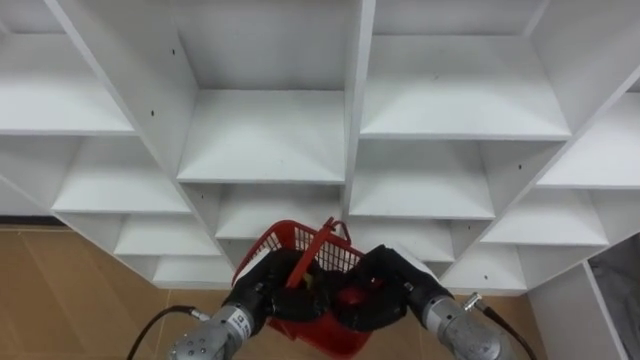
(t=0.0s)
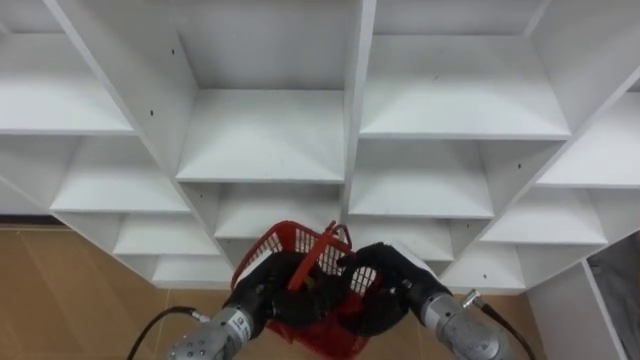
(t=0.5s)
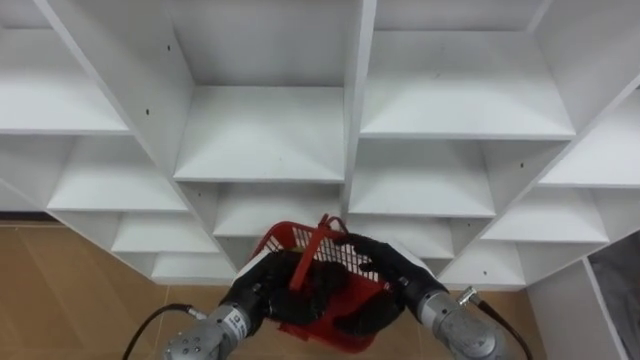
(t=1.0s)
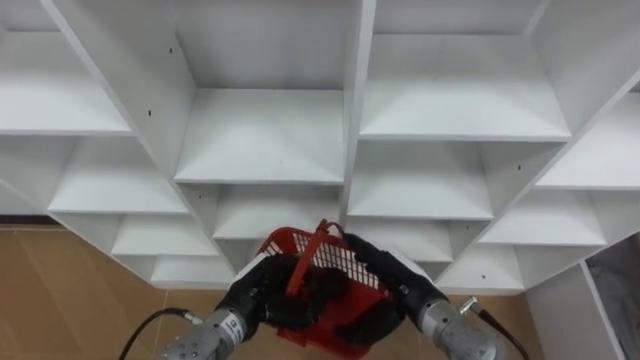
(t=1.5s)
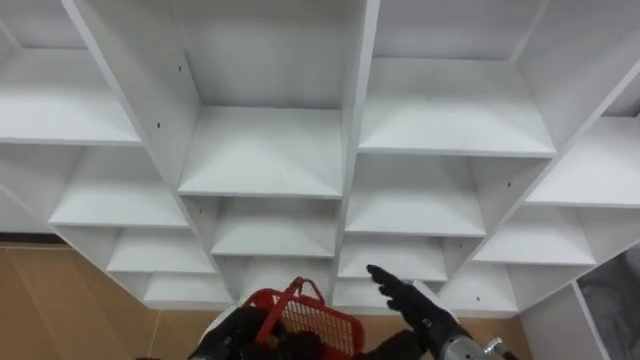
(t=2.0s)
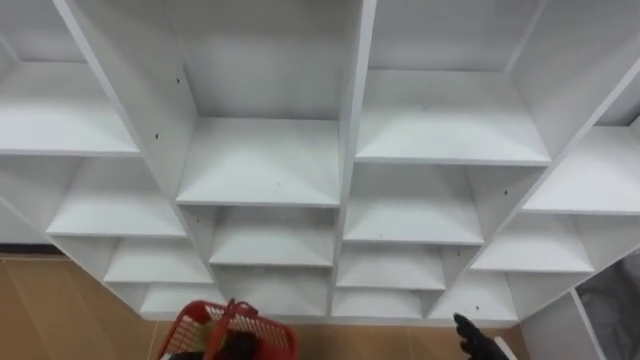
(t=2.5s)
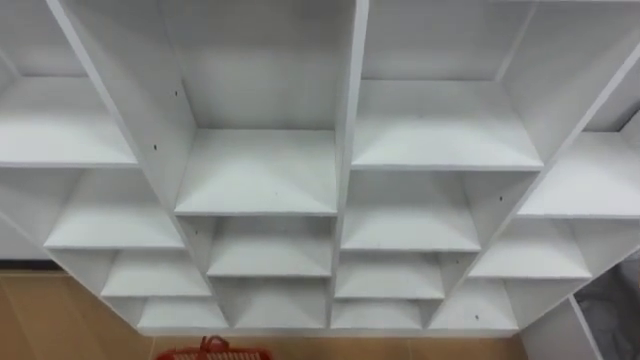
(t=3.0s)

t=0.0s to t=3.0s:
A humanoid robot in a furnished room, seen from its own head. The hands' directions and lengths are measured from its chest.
Task of the whole recording: Hold the basket and collect the fruits from 3 different cells of the closet into it.
t=0.0s to t=1.5s: The right hand opens up.

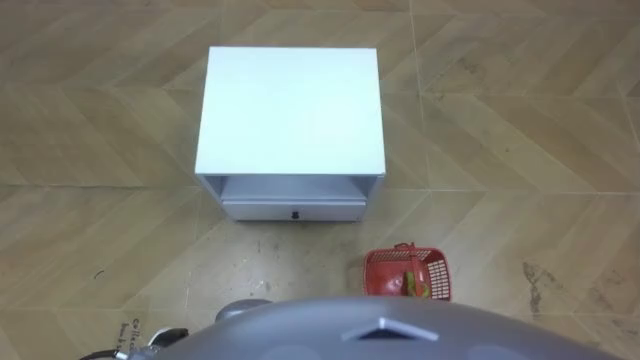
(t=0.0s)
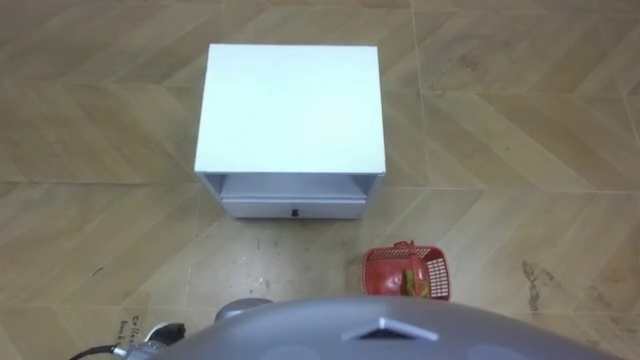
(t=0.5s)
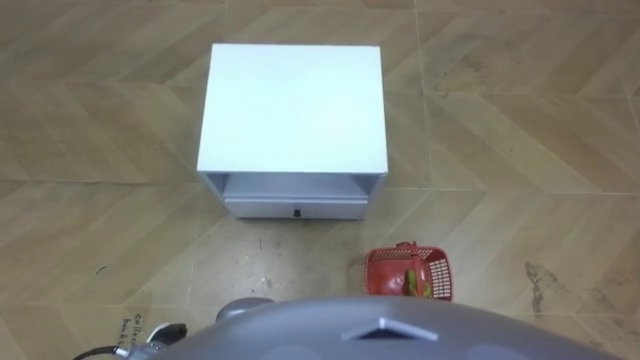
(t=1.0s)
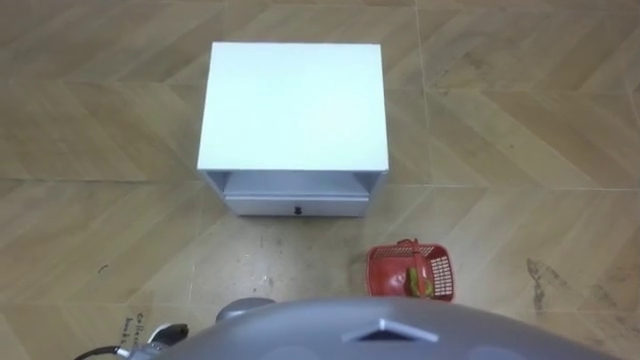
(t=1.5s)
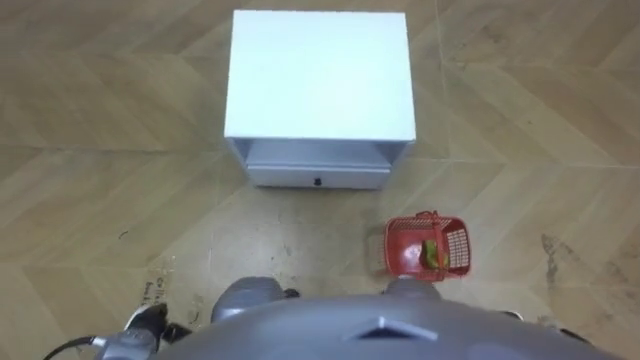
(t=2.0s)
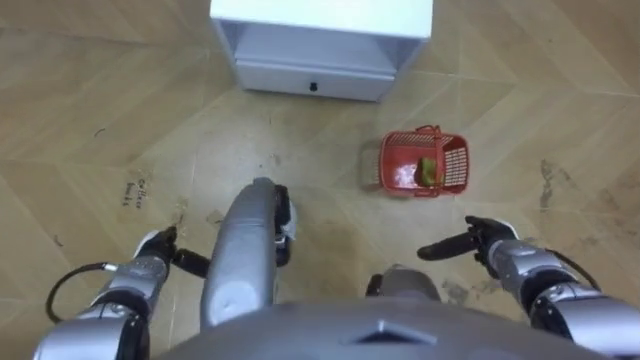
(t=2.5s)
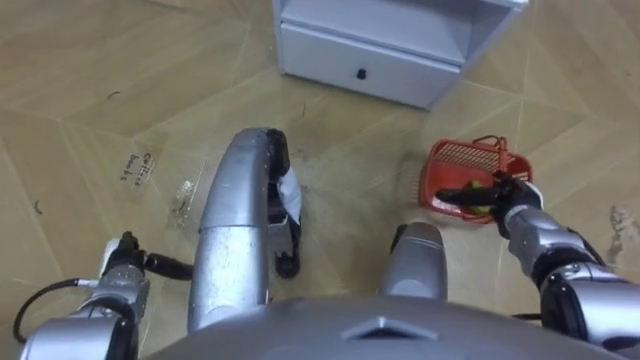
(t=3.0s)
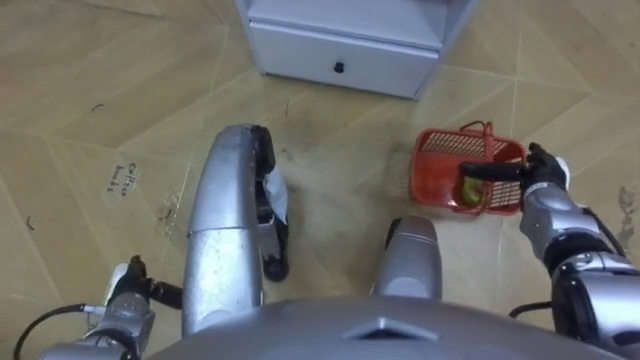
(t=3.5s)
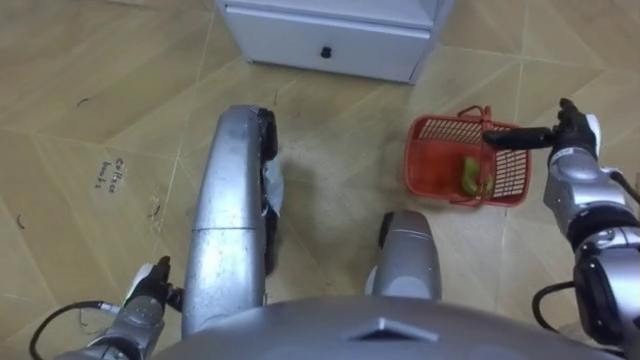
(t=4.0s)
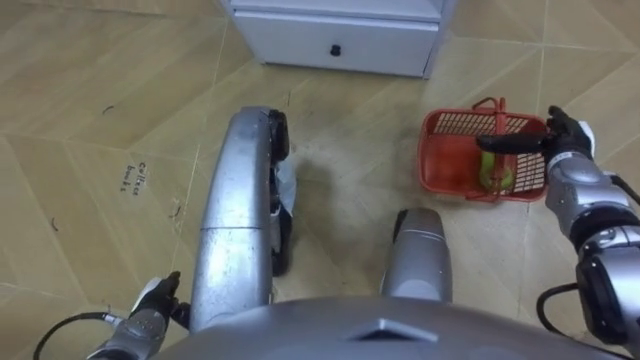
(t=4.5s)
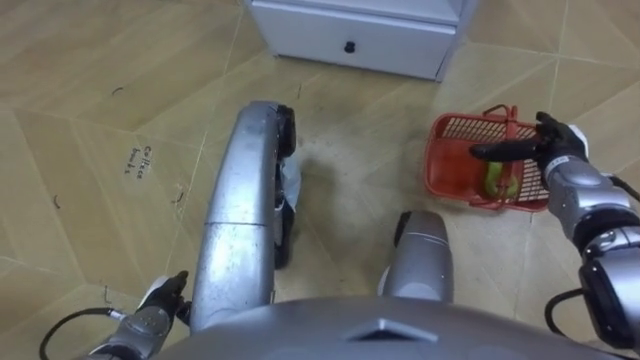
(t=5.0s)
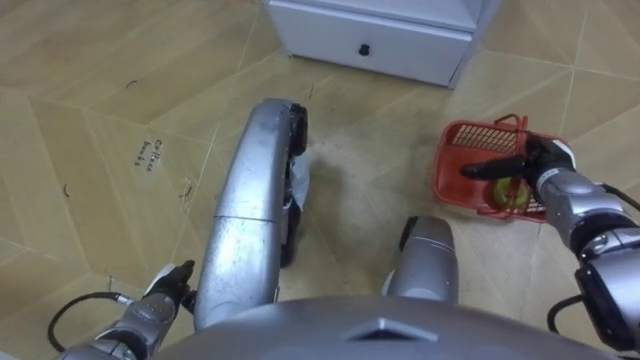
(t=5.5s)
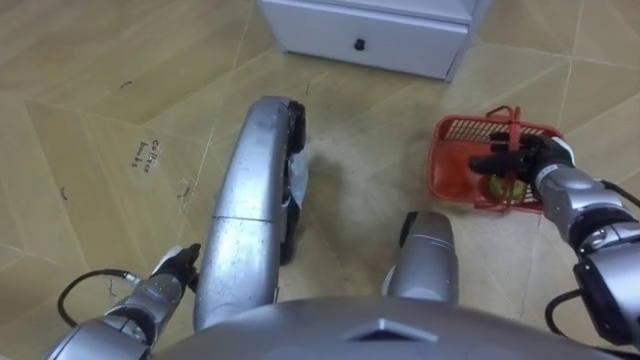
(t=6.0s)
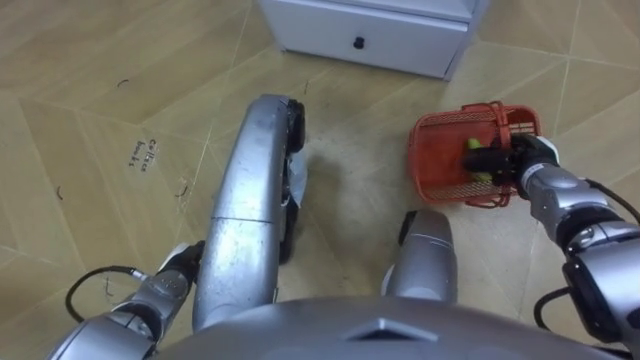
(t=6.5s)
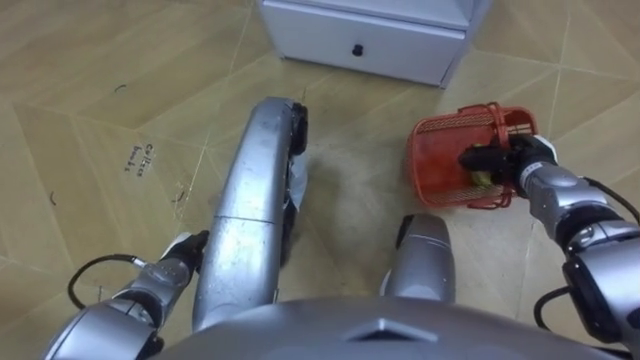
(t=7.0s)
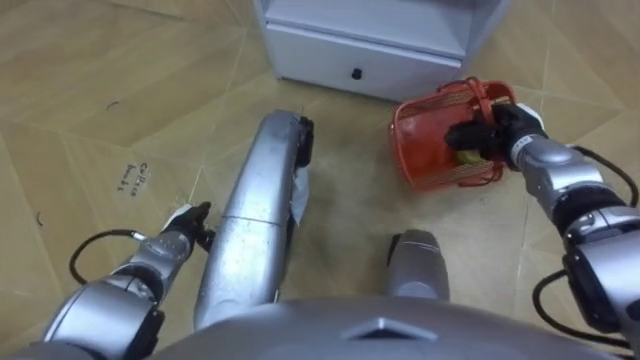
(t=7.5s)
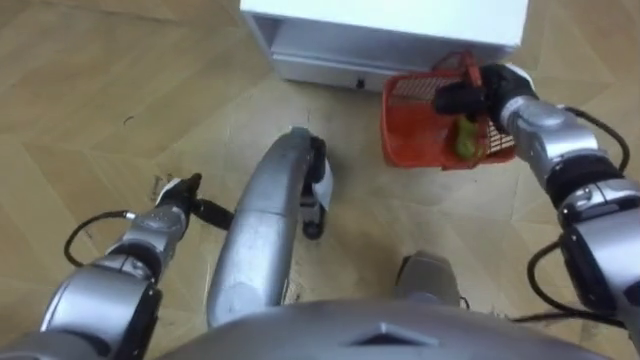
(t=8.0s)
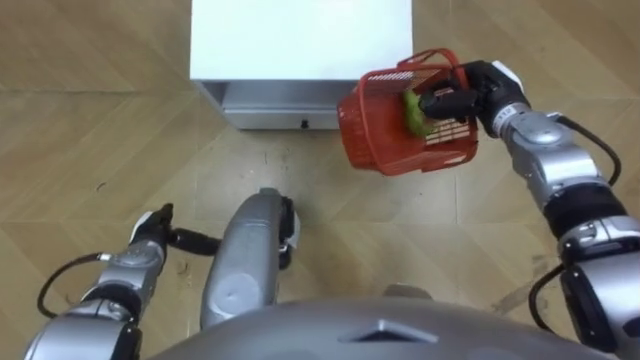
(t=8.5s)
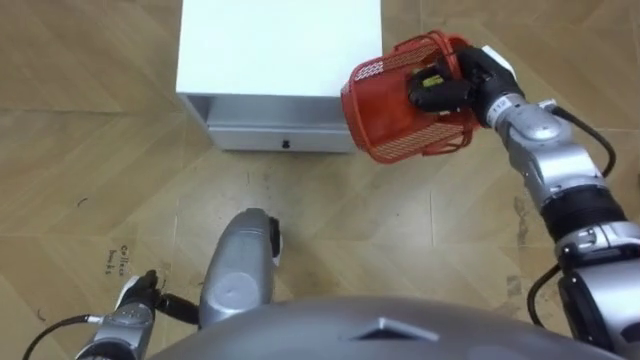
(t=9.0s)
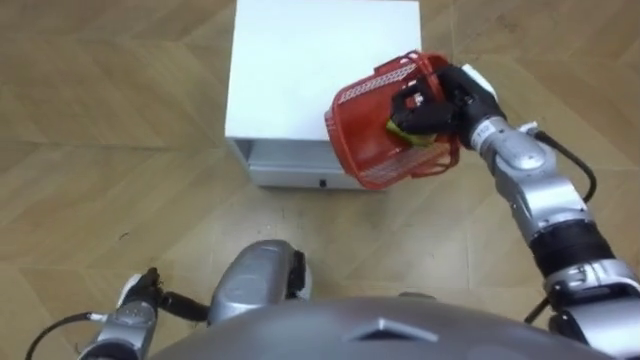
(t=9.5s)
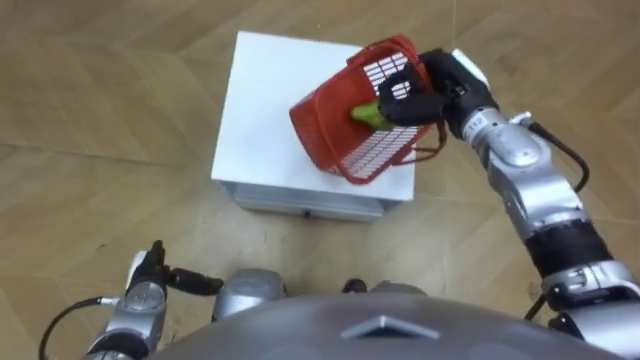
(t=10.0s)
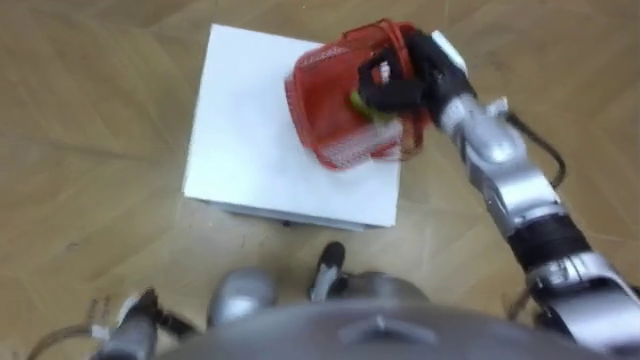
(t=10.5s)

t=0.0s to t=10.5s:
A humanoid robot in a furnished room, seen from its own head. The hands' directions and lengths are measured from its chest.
Task of the whole recording: Pick up the fruit basket from the floor and place it on the cabinet.
t=2.0s to t=4.0s: The left hand shifts about 5 cm forward, while the right hand goes roughly 30 cm forward and upward.
t=4.0s to t=6.5s: The left hand moves about 5 cm. Meanwhile the right hand changes place by approximately 5 cm, and closes its fingers.
t=6.5s to t=8.5s: The robot rotates about 20 degrees to its right. The right hand moves forward, upward and to the left, some 10 cm.
t=8.5s to t=10.5s: The right hand goes roughly 10 cm to the left. The left hand shifts roughly 10 cm backward.

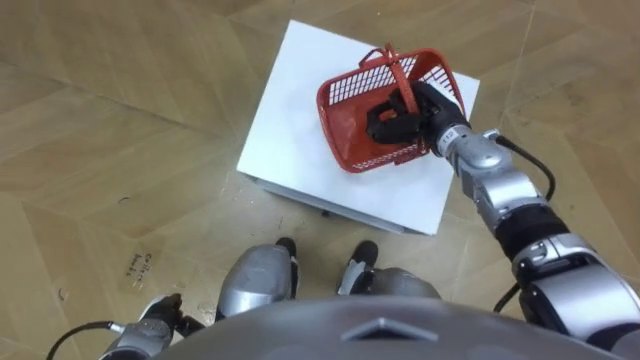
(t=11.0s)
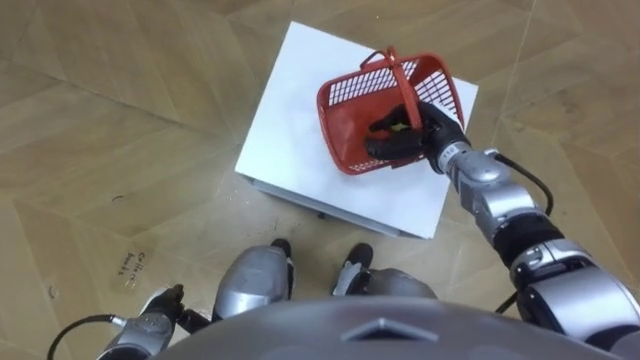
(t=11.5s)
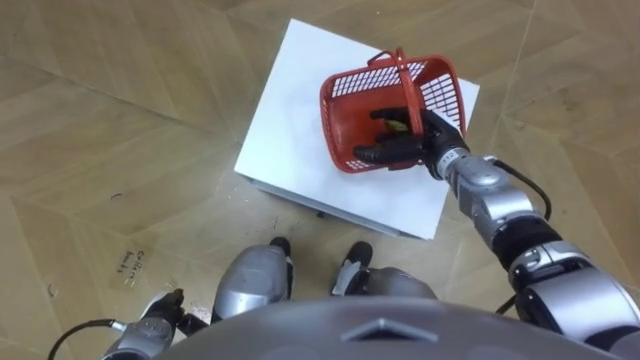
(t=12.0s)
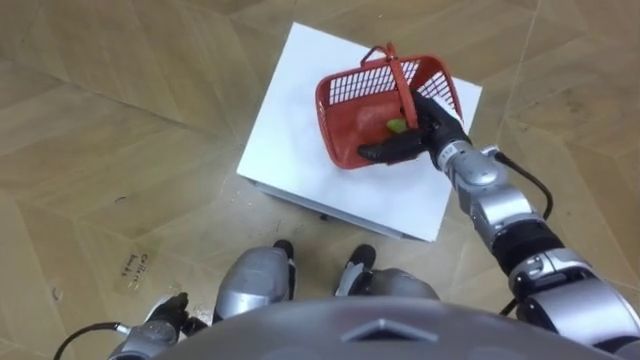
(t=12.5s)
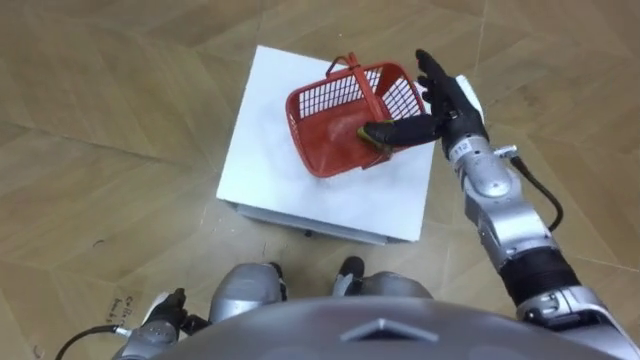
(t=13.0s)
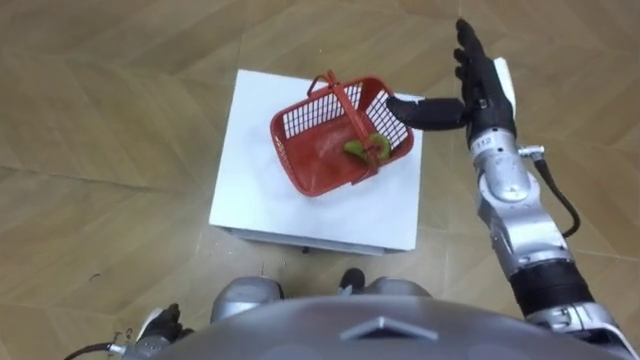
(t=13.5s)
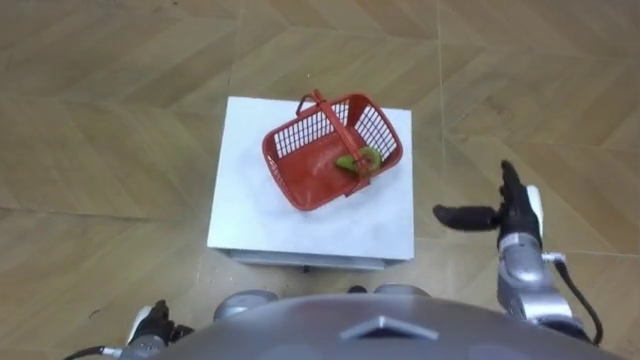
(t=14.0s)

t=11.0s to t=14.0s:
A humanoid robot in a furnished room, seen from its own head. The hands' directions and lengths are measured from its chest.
Task of the whole recording: Pick up the fruit basket from the floor and place it on the cabinet.
t=11.0s to t=12.5s: The right hand opens up.
t=12.5s to t=14.0s: The right hand goes approximately 15 cm backward and to the right.

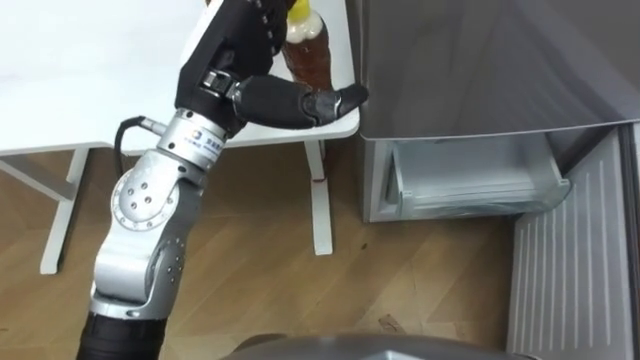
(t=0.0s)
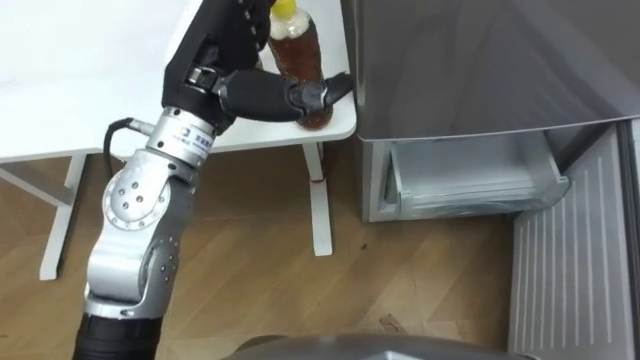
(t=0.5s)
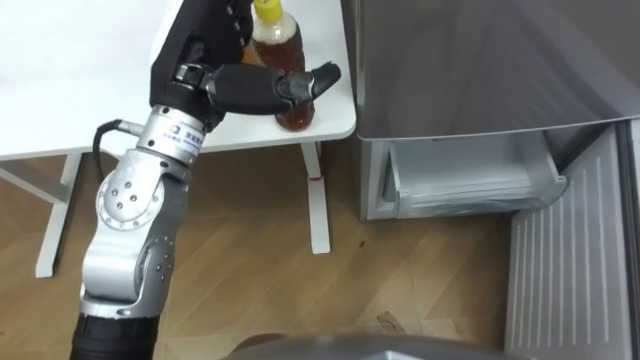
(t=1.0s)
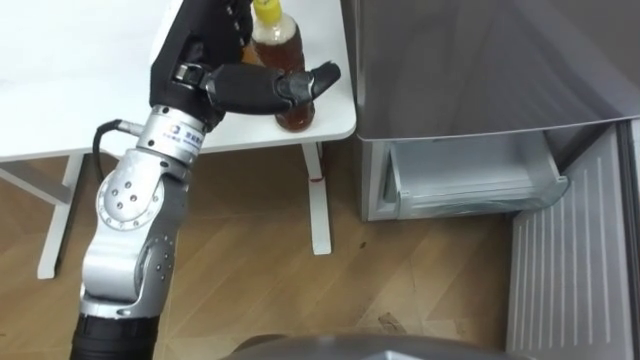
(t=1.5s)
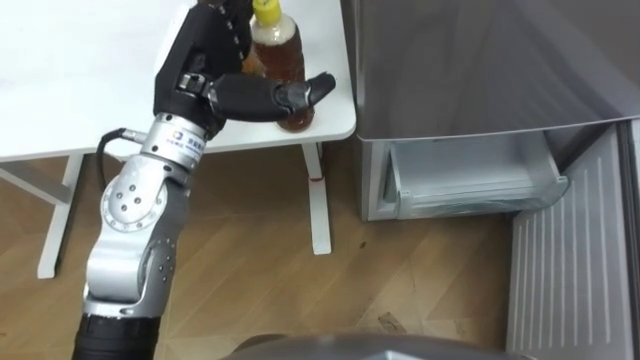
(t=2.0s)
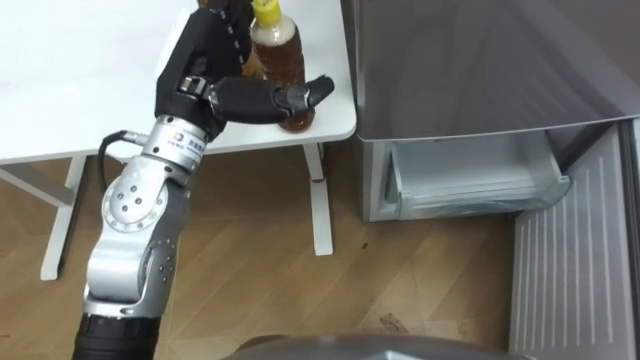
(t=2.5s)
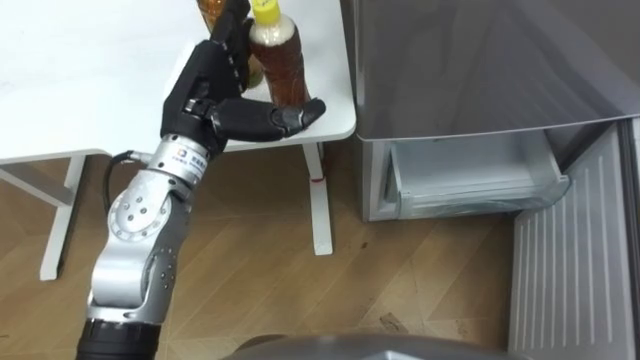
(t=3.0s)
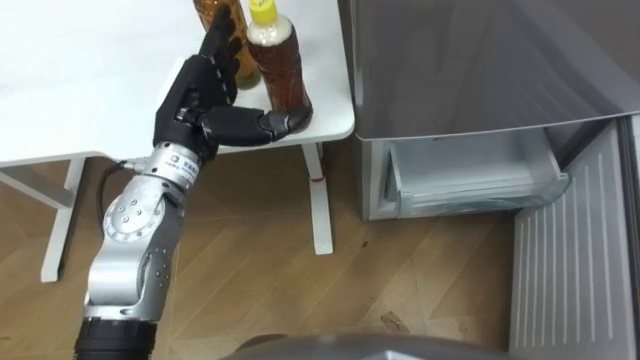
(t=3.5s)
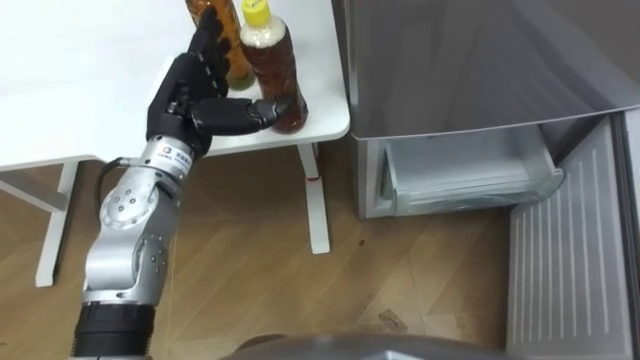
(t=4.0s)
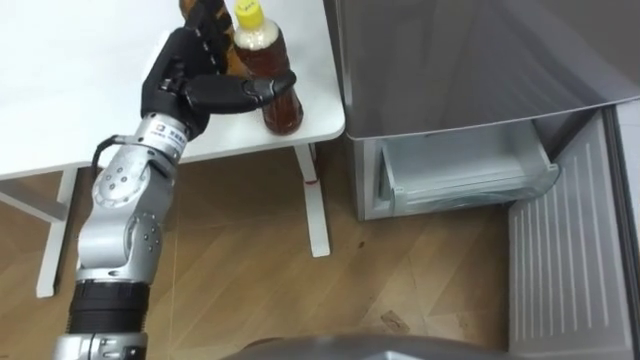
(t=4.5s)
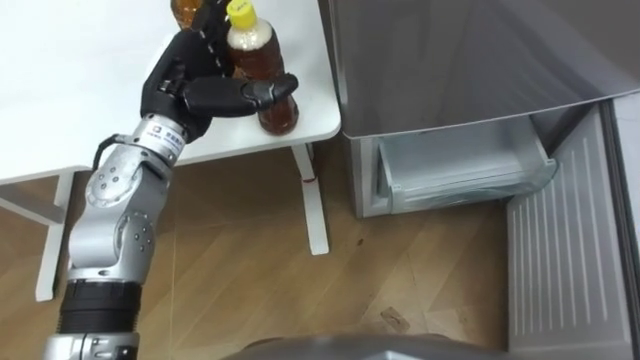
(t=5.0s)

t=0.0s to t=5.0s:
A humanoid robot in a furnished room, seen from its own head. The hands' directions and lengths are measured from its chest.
Task of the whole recording: Place the drink on the table on the bottom shelf of the refrigerator, then close the drawer and the refrigerator door.
t=2.5s to t=5.0s: The left hand changes place by some 5 cm.
